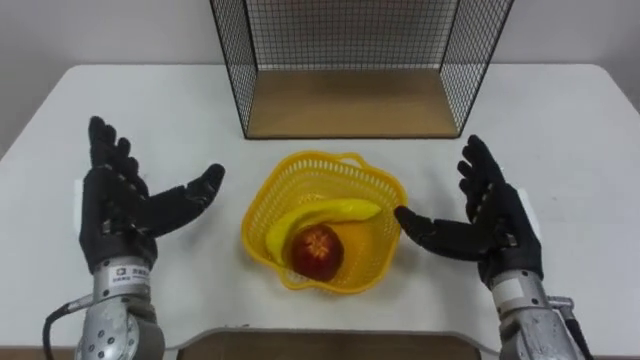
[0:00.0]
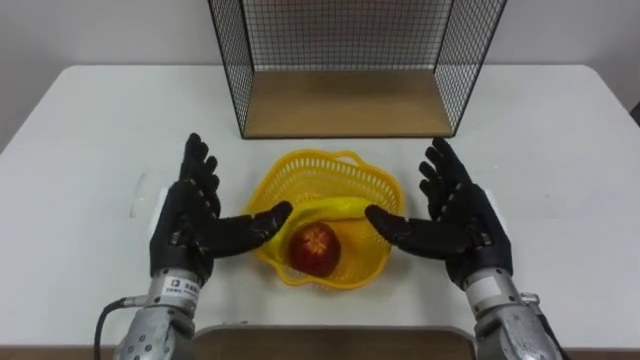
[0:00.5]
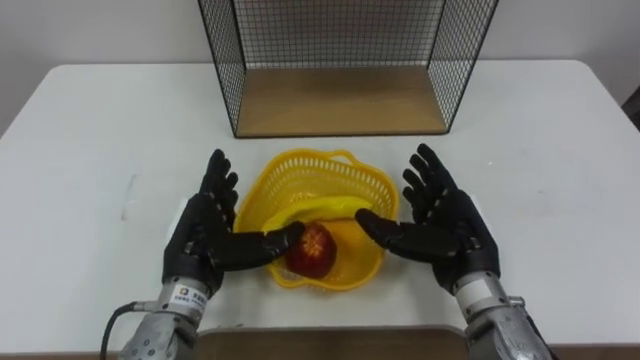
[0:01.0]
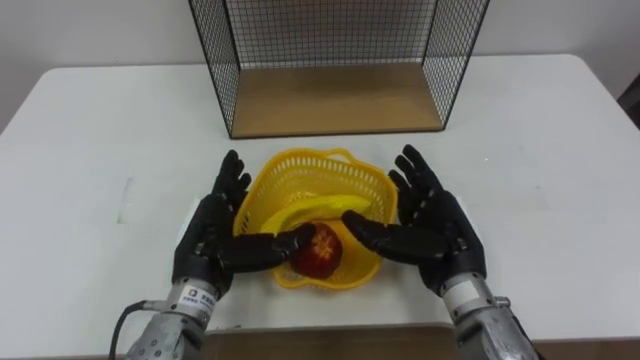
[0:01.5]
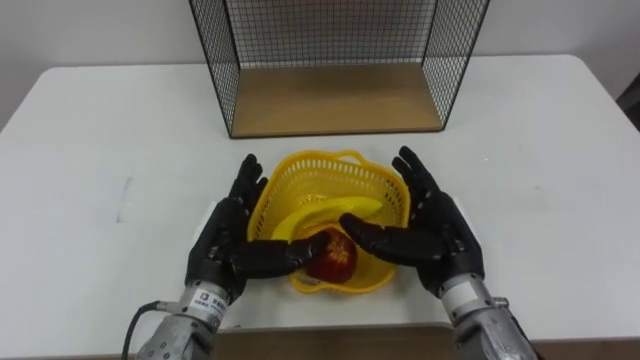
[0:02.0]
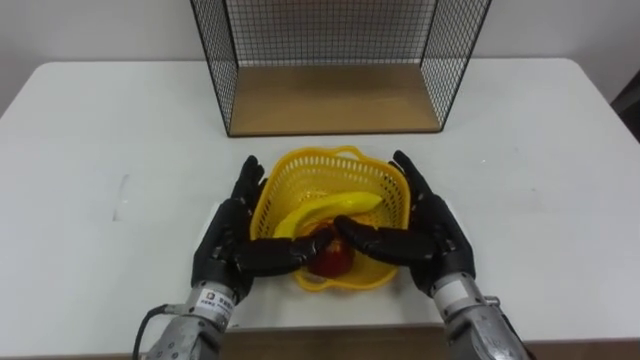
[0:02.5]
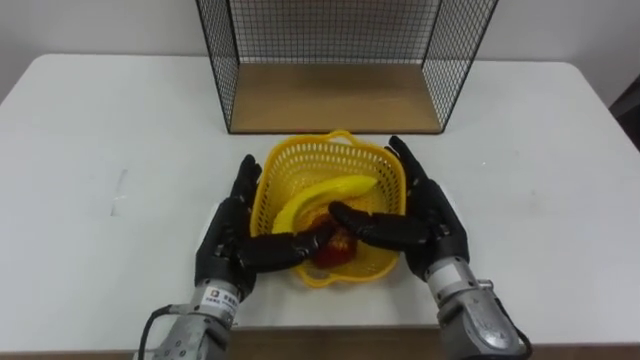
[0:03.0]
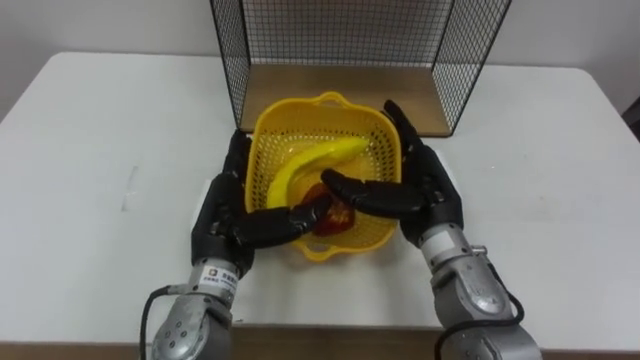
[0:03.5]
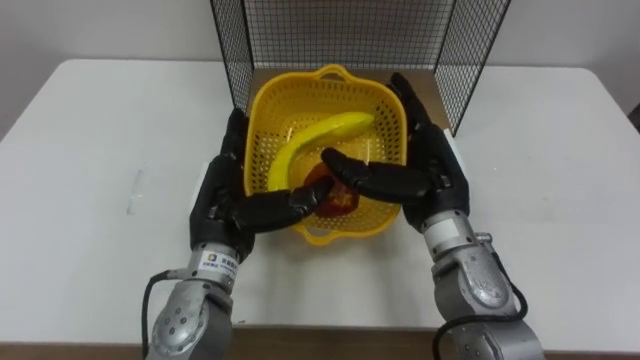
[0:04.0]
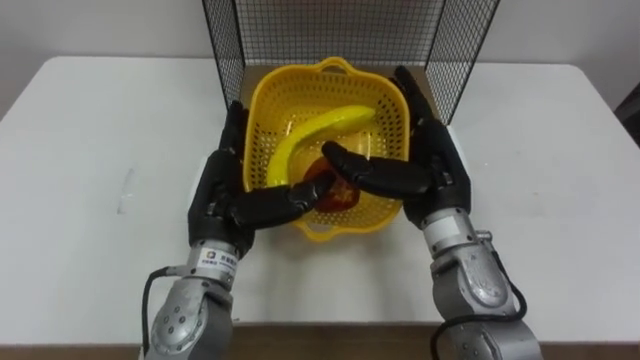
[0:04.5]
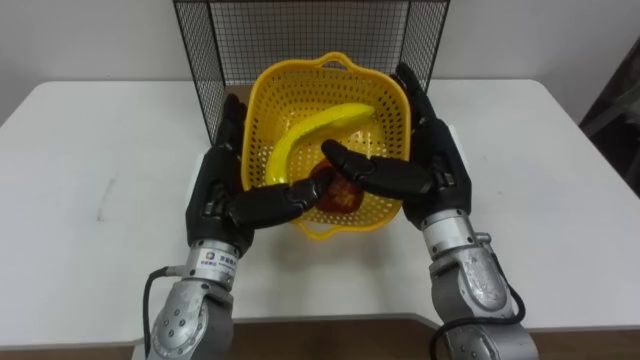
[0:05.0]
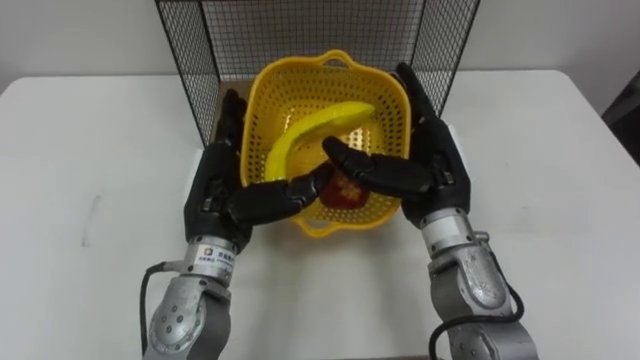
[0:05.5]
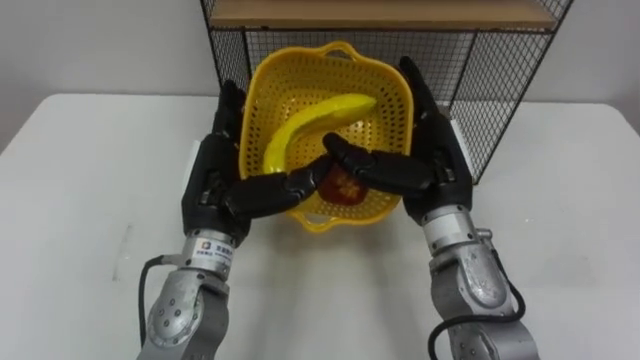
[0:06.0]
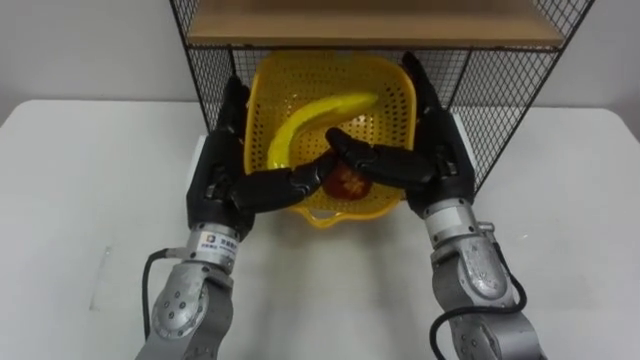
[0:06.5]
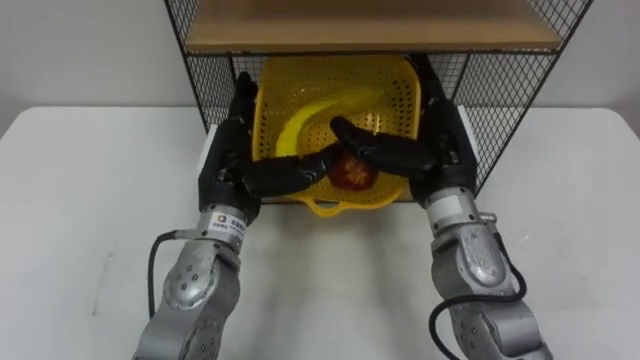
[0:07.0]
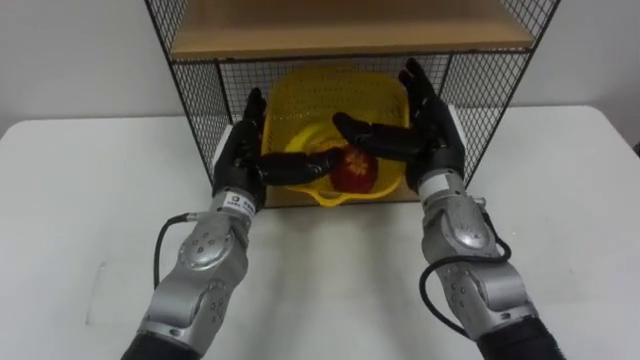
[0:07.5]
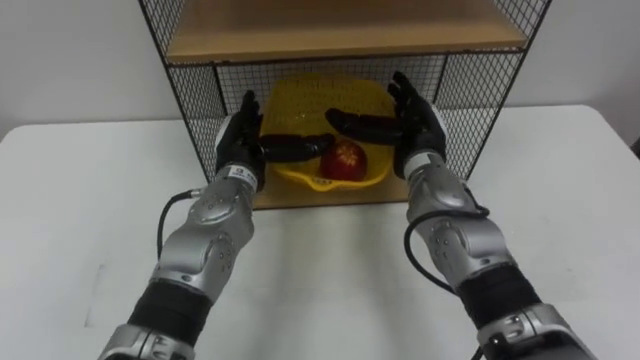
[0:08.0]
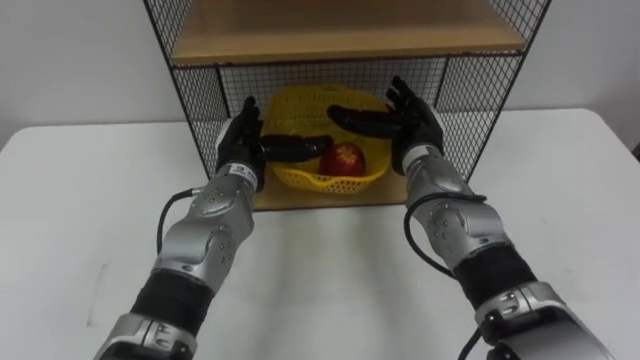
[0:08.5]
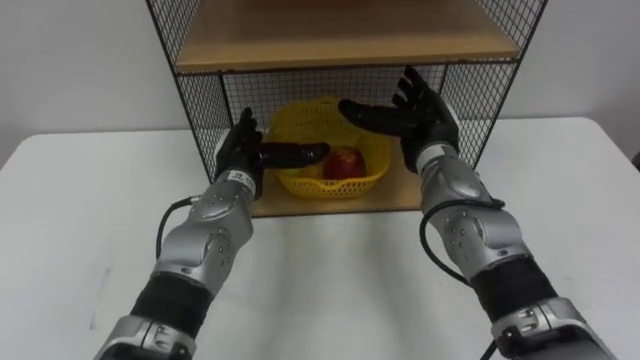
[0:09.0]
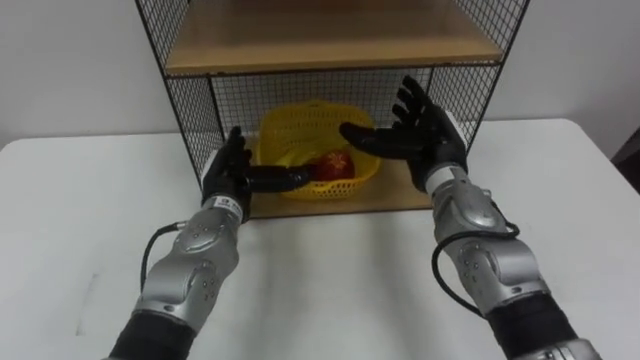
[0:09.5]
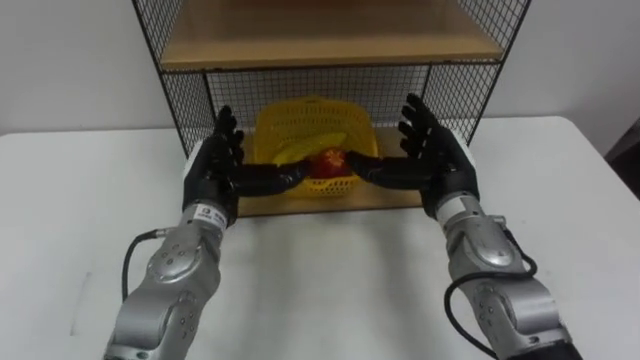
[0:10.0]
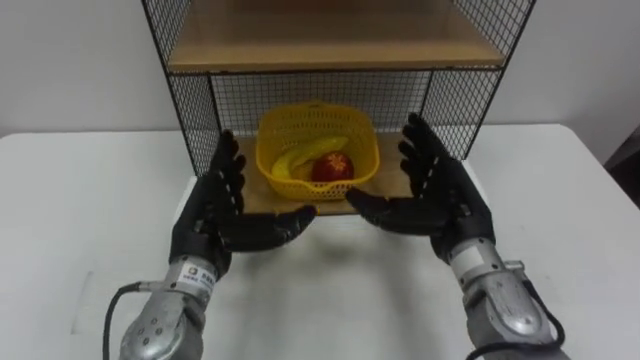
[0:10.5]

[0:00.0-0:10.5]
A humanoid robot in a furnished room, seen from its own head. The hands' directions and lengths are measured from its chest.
Task of the whole recording: Put the fruit on the table into the basket, then place the basket on the shelf.
0:00.0 to 0:02.0: The right hand moves to the left, roughly 5 cm; the left hand is displaced to the right by about 10 cm.
0:02.0 to 0:04.0: The left hand moves approximately 5 cm. The right hand heads upward, covering roughly 5 cm.
0:06.5 to 0:08.5: Both hands move forward and downward, roughly 10 cm.
0:08.5 to 0:10.5: The two hands go approximately 10 cm backward.

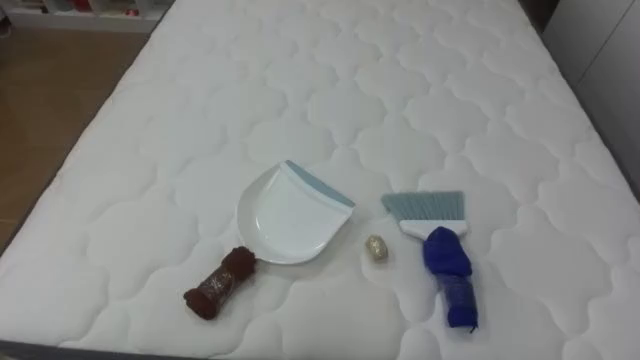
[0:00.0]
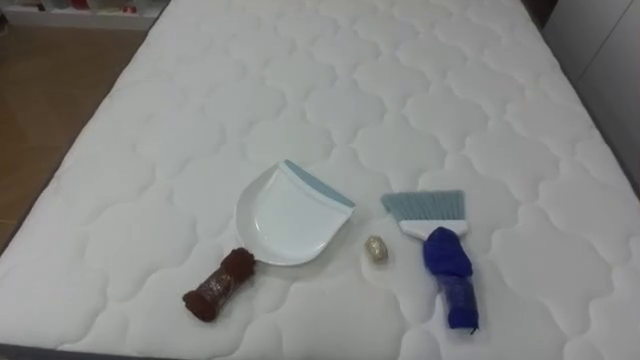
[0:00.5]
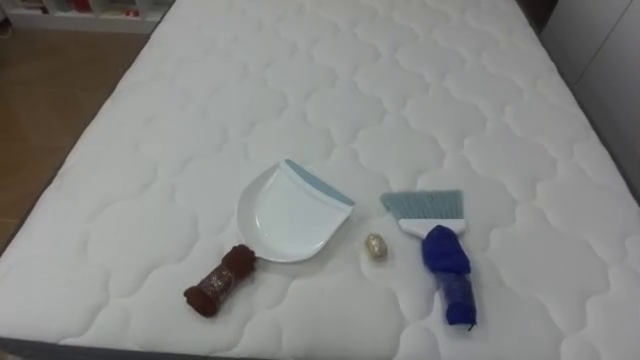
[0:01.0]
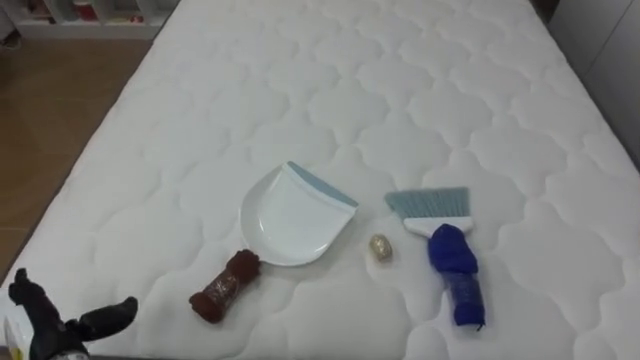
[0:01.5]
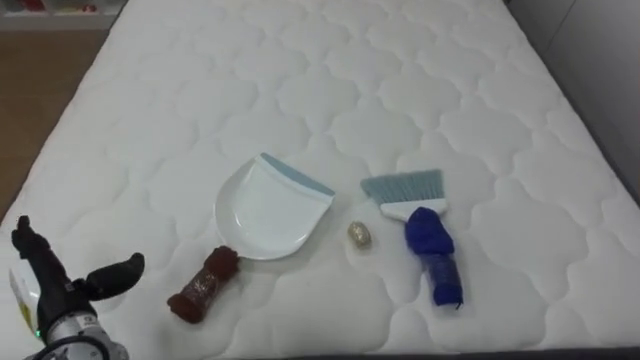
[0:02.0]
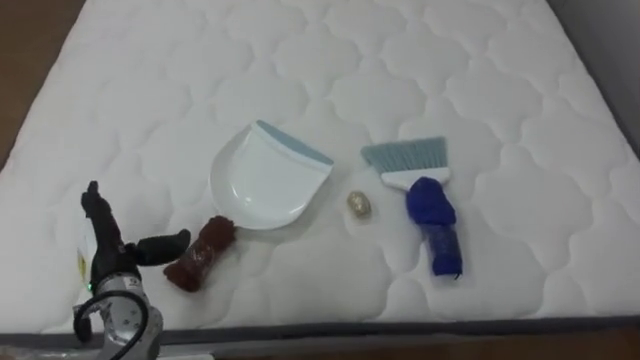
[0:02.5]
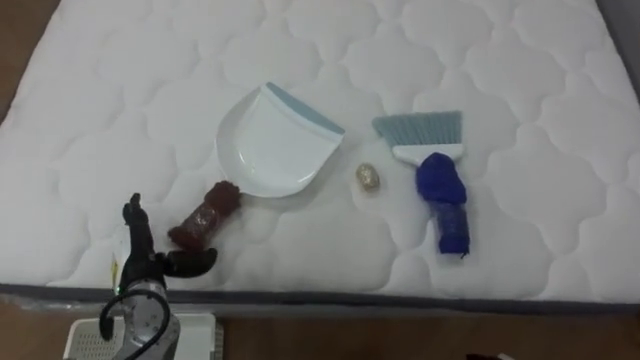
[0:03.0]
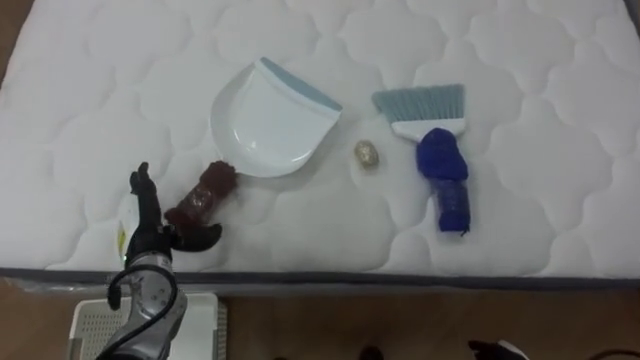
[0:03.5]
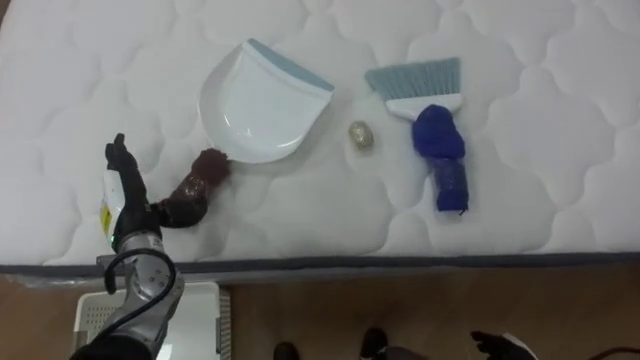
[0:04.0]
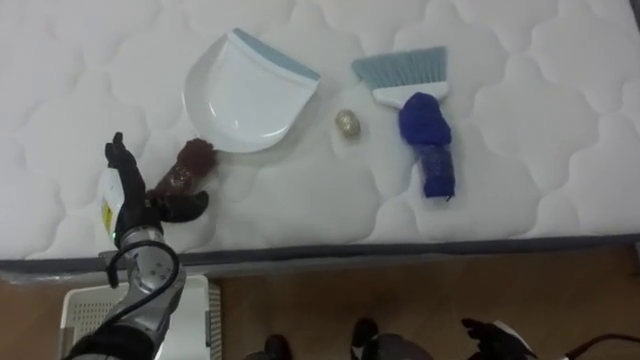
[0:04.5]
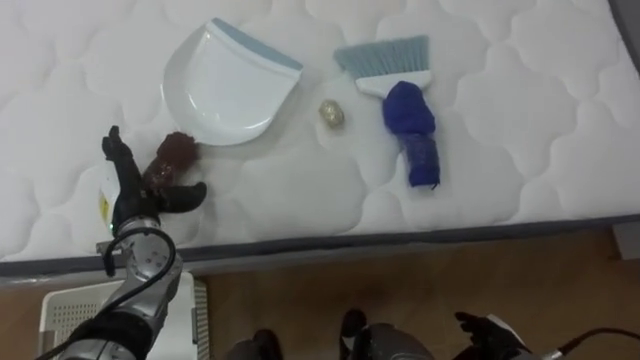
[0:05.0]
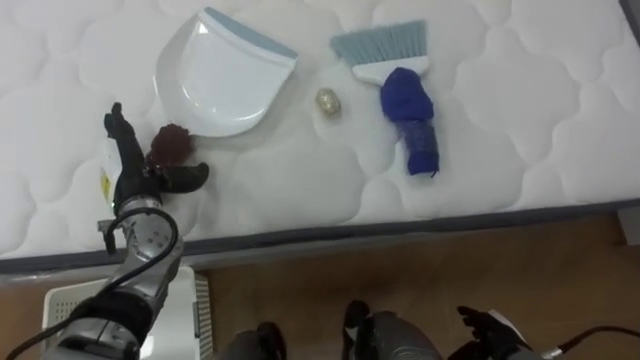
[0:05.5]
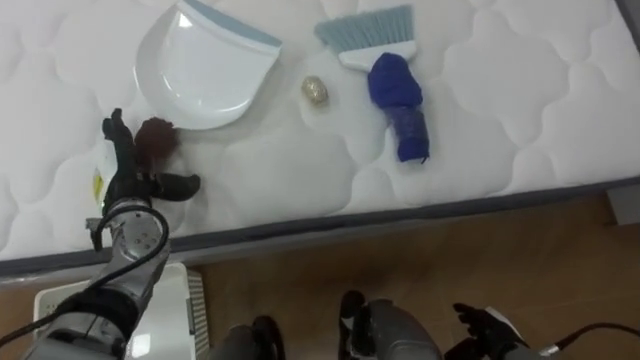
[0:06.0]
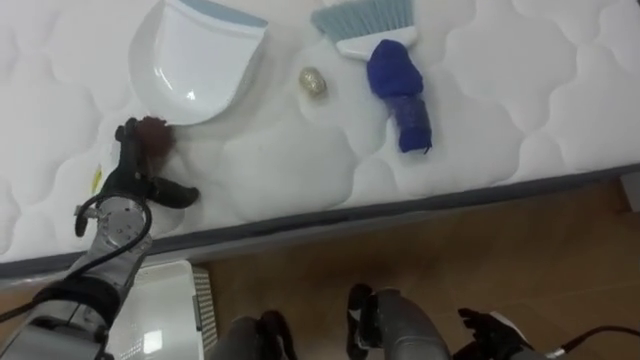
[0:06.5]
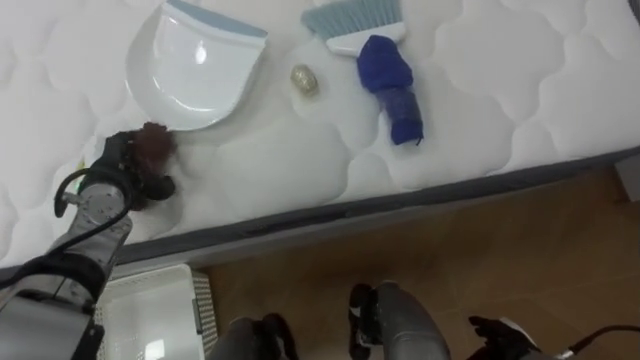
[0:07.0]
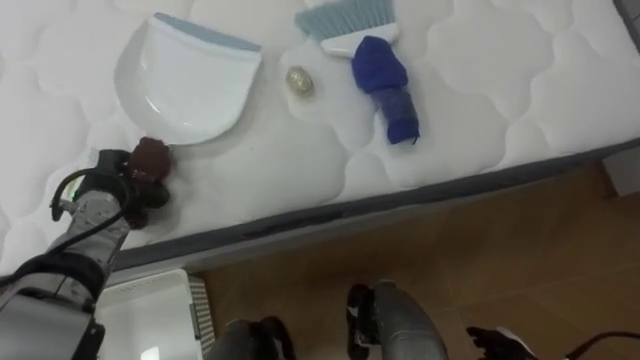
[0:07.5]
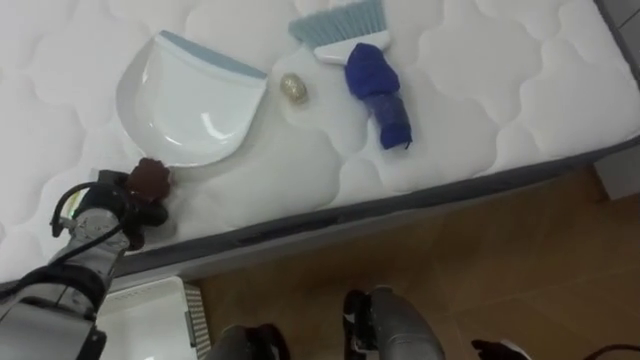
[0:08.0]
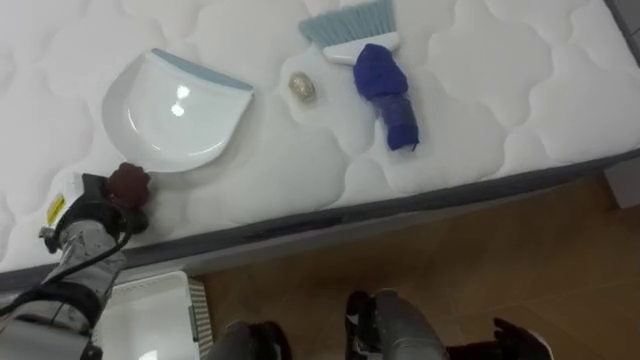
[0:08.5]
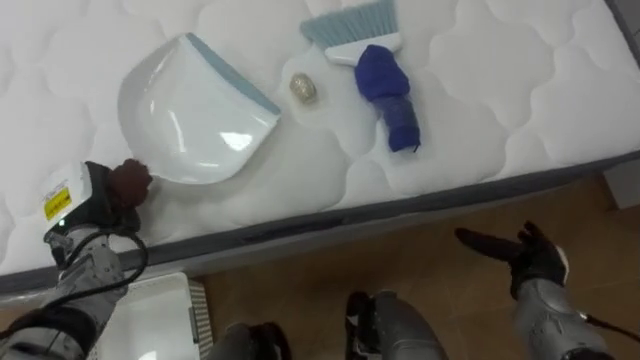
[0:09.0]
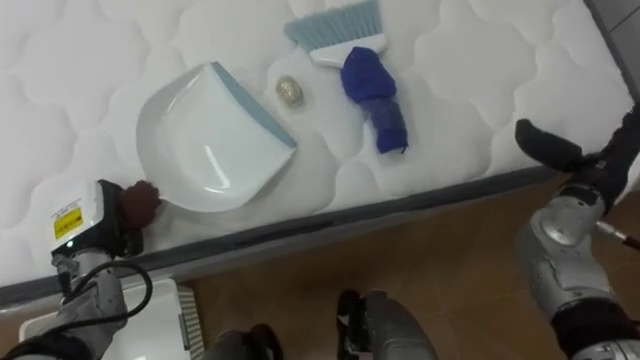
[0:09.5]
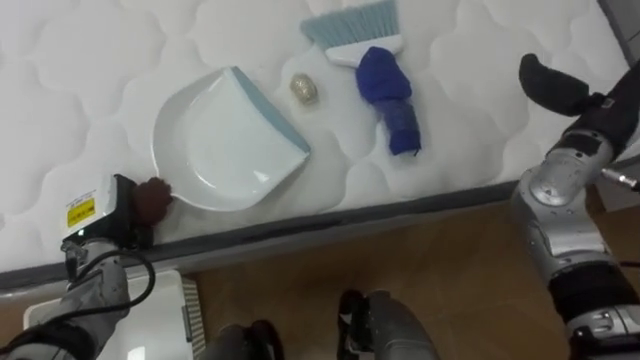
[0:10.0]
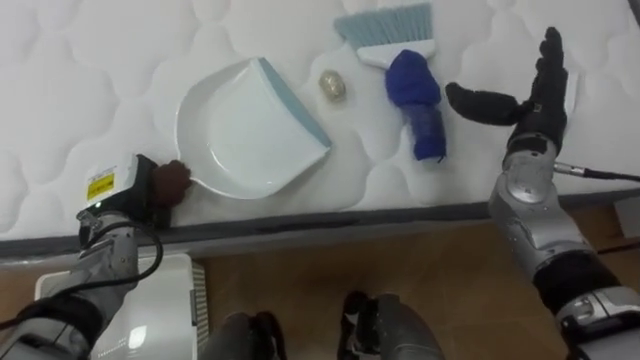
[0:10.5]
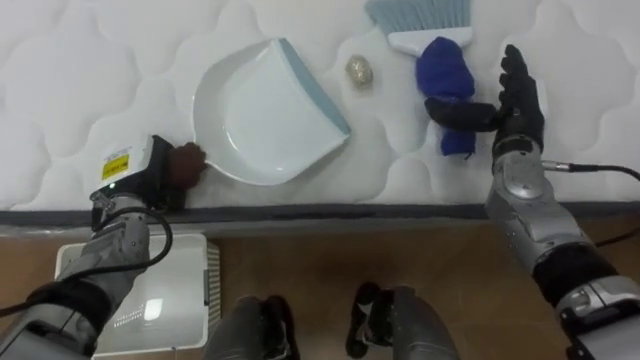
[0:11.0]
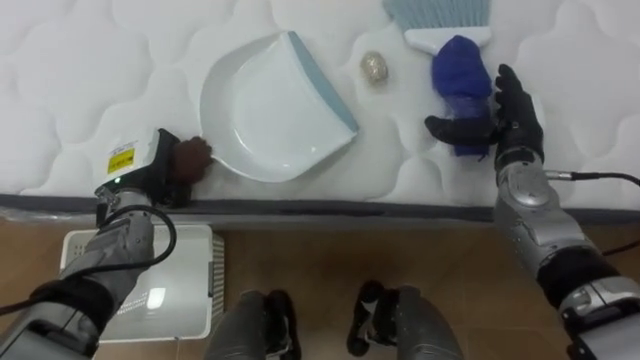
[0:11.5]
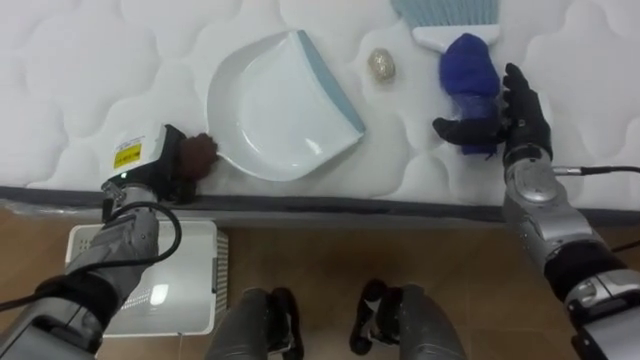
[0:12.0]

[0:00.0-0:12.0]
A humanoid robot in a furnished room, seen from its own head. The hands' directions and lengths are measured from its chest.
Task of the whole recording: Pick up the brush on your right and the dustpan on your left. Use the brush to sweep the crumpled paper on the bed into the dustpan, then turn left and empty it into the basket.
0:02.0 to 0:04.0: The left hand travels forward and to the right by roughly 15 cm.
0:06.0 to 0:08.0: The left hand changes place by roughly 5 cm, and closes its fingers.
0:10.0 to 0:12.0: The left hand travels to the right and forward by roughly 10 cm, while the right hand is displaced downward and to the left by roughly 10 cm.
